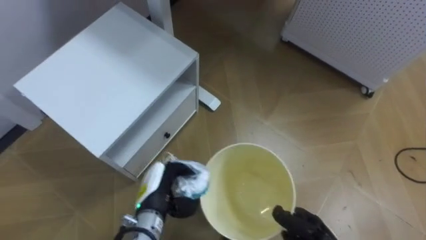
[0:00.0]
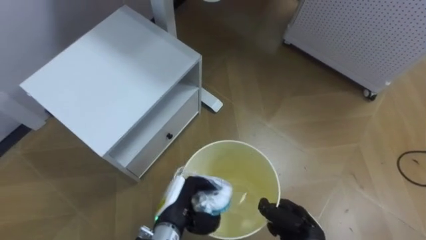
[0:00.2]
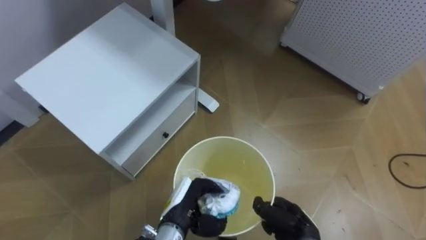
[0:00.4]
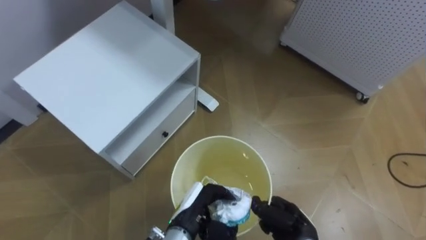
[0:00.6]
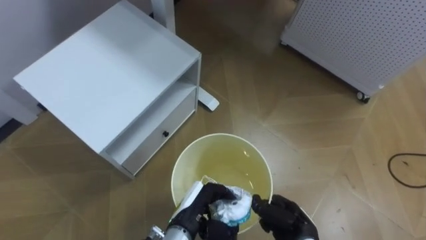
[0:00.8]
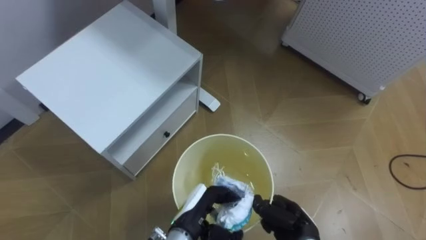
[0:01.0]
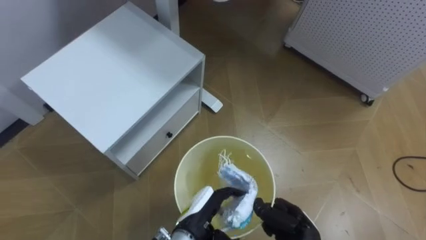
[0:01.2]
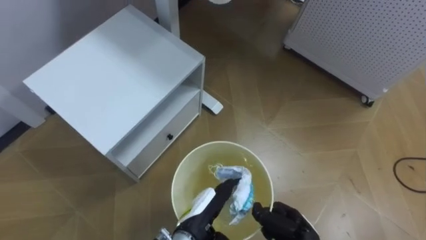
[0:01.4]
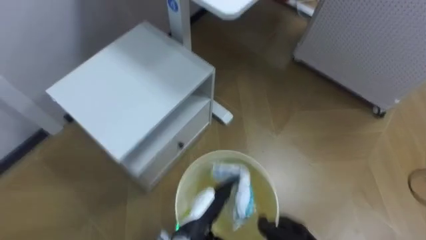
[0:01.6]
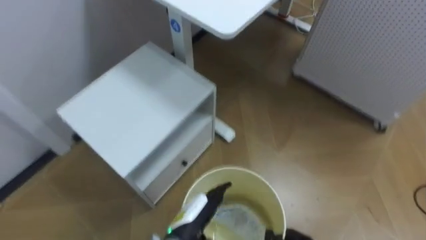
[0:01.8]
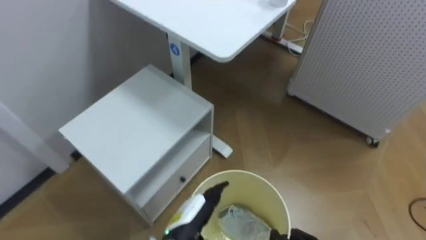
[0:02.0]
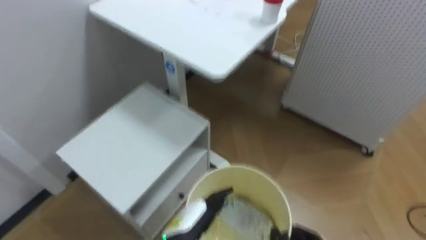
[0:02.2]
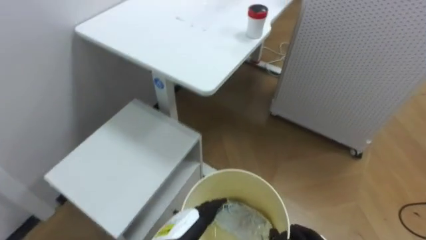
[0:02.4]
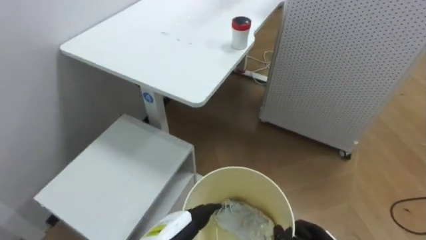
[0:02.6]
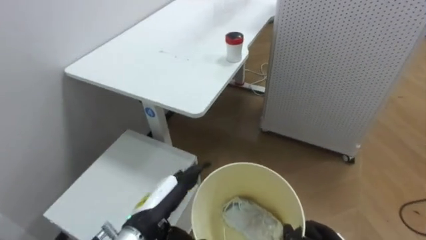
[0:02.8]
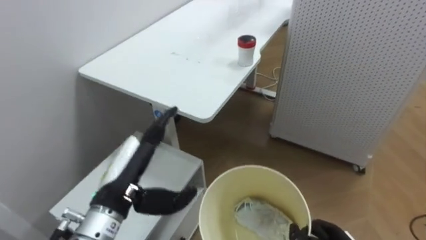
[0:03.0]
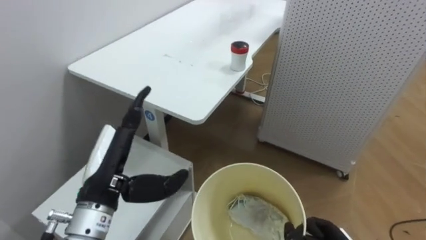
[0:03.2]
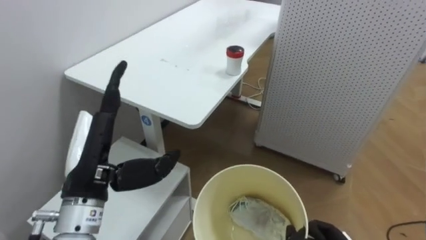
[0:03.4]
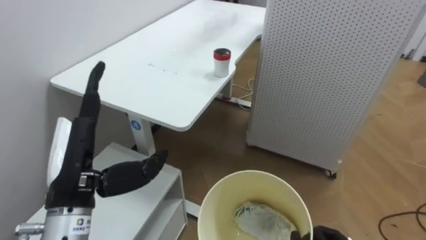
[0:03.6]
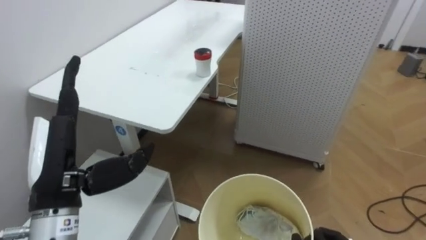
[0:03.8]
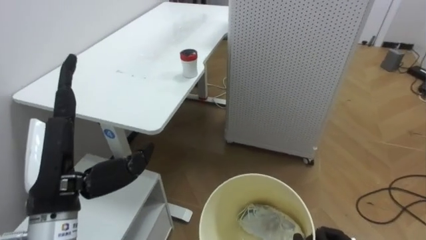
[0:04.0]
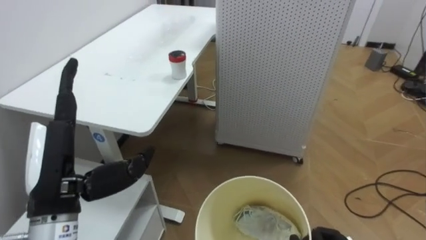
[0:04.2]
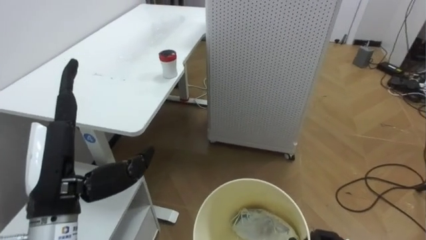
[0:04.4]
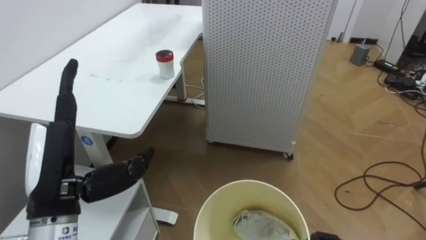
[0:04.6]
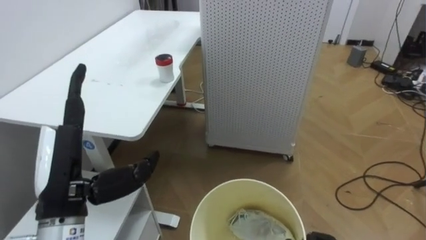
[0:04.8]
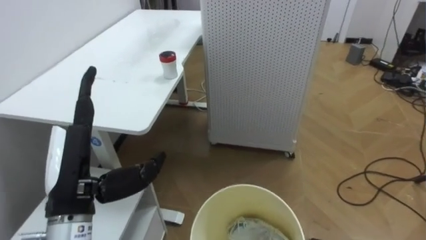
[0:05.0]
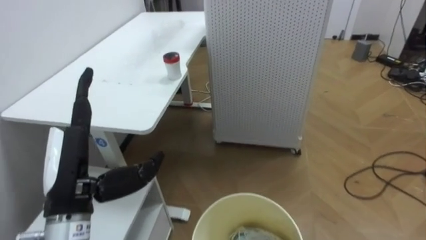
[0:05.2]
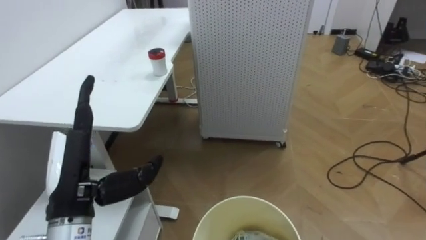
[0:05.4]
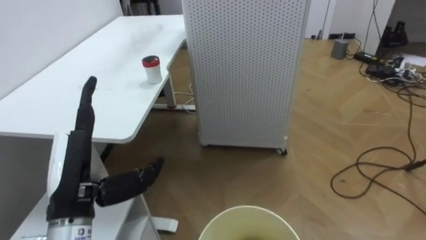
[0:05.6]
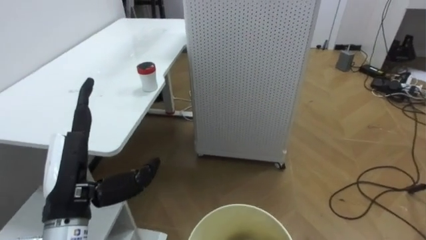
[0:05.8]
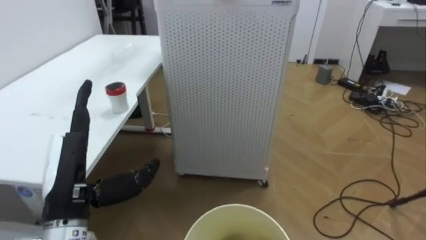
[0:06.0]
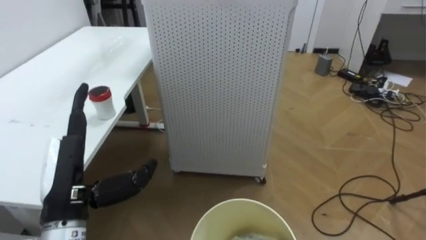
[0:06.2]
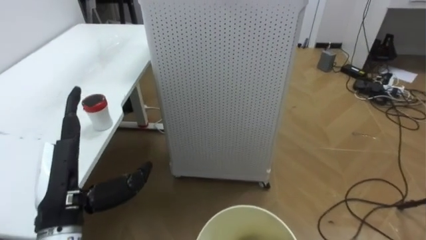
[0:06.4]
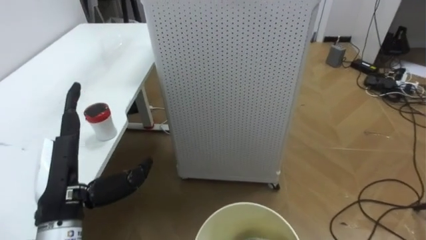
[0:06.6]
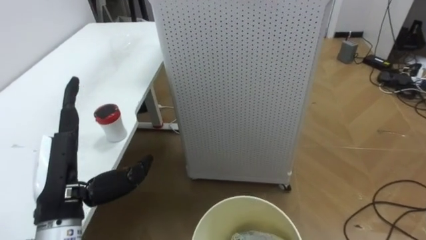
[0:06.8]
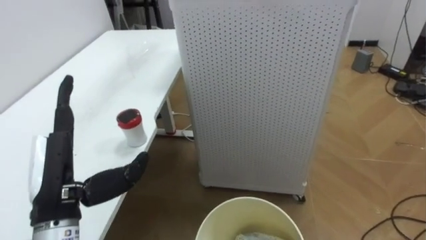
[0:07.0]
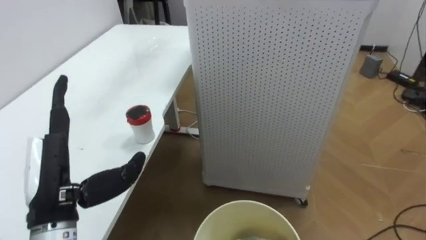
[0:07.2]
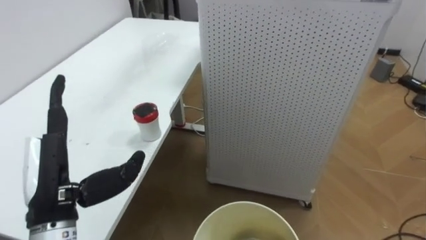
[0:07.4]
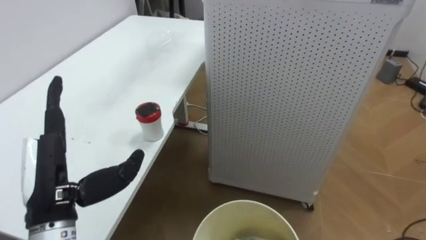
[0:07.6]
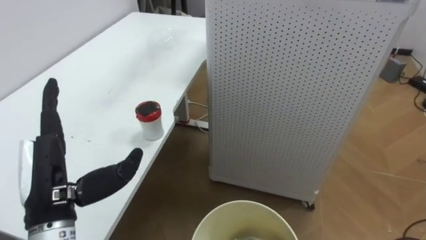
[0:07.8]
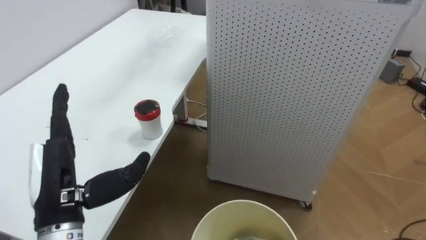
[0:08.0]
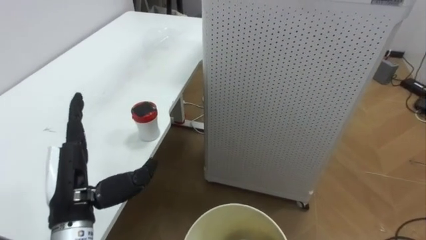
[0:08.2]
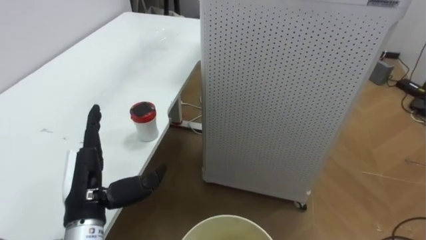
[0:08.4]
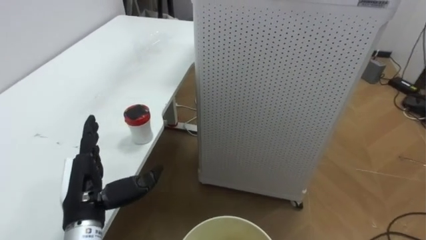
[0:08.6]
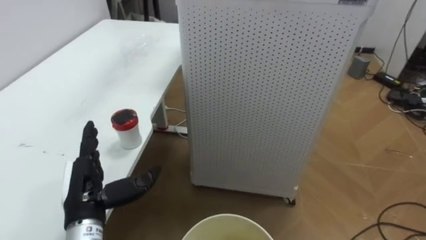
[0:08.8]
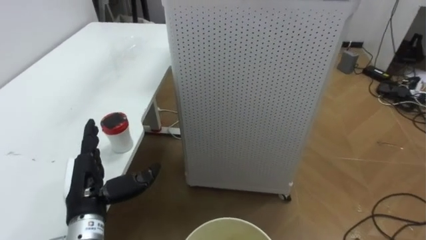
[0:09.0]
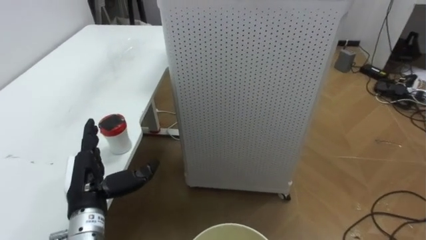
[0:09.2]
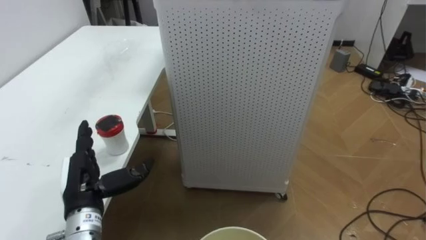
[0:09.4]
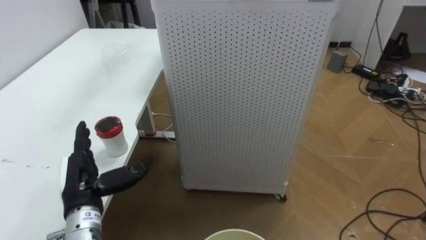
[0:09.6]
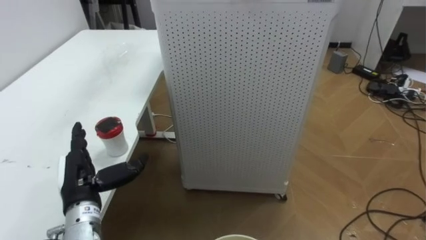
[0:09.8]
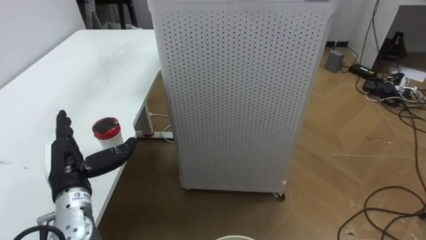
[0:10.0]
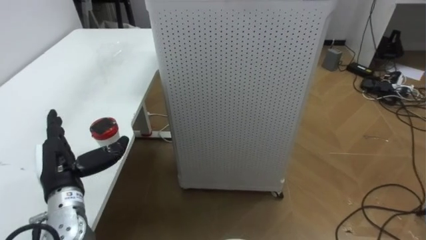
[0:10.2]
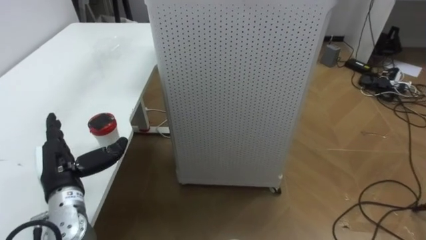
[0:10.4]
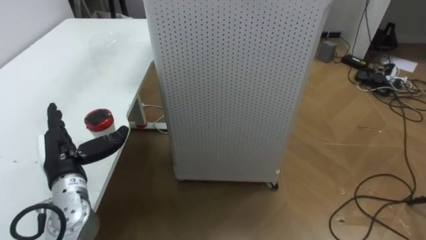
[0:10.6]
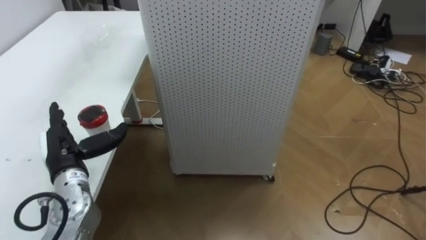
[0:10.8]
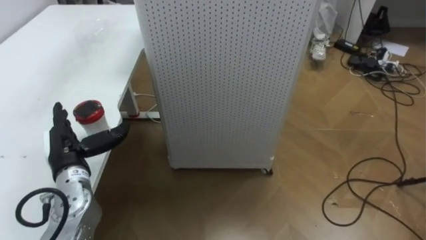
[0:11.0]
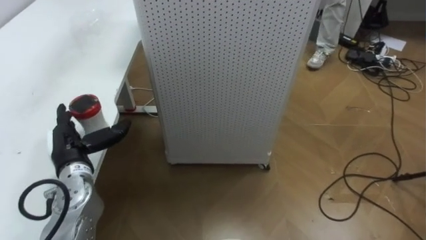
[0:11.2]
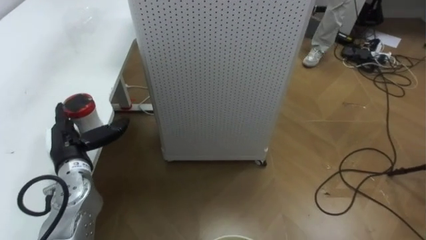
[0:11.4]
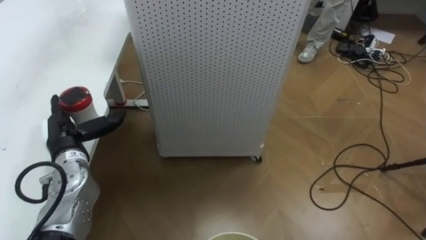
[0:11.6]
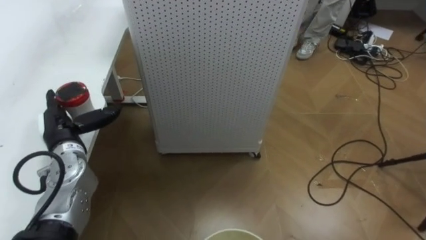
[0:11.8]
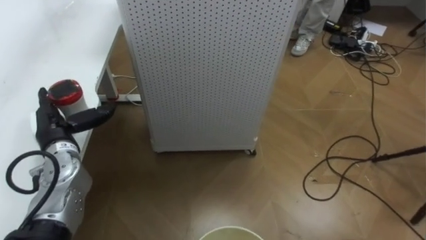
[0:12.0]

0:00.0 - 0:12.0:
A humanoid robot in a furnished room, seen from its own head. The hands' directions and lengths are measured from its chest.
Task of the whole recording: Pick up the light blue package, the candy box, and the dark blue package separately, and put them into the trash can held in your right hand.
0:00.0 - 0:01.6: The left hand goes roughly 10 cm to the right, and opens.
0:01.6 - 0:03.0: The left hand shifts about 20 cm upward and to the left.
0:03.0 - 0:04.4: The robot's body swings about 15 degrees to its right. The left hand shifts about 10 cm to the left and upward.
0:07.6 - 0:09.0: The left hand goes about 10 cm downward.
0:09.0 - 0:10.4: The left hand moves to the left, about 5 cm.
0:10.4 - 0:12.0: The left hand moves forward, approximately 5 cm.

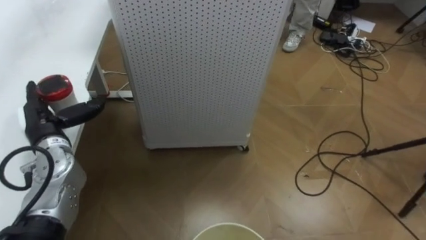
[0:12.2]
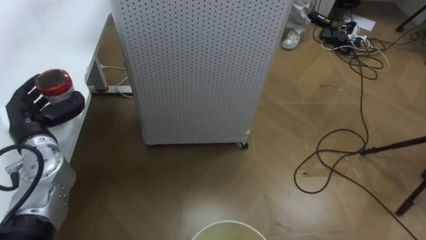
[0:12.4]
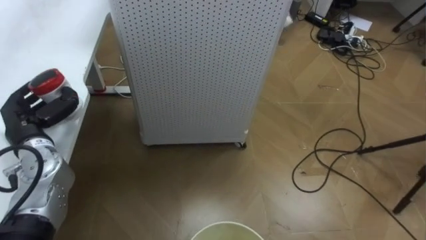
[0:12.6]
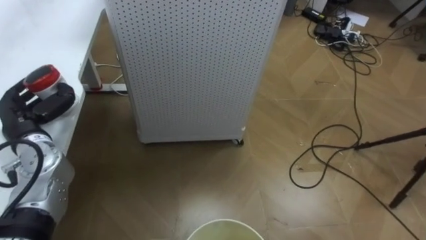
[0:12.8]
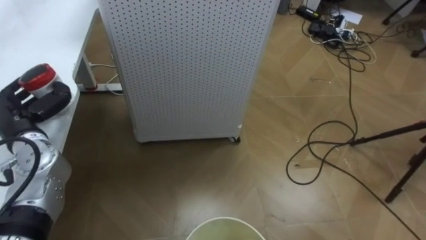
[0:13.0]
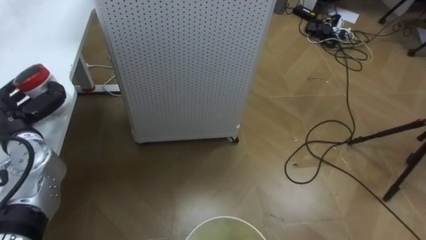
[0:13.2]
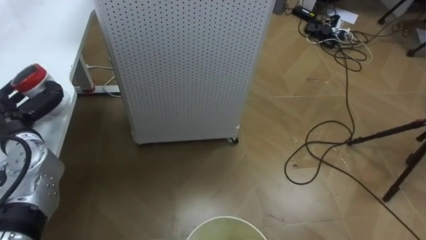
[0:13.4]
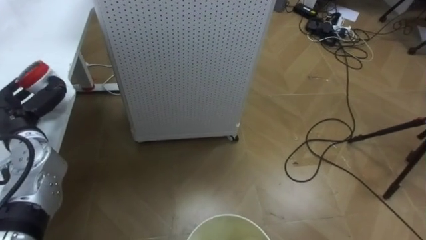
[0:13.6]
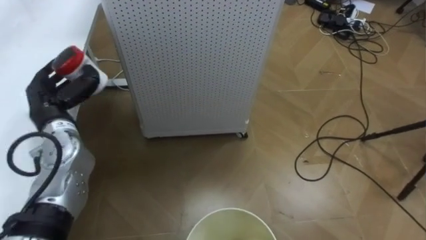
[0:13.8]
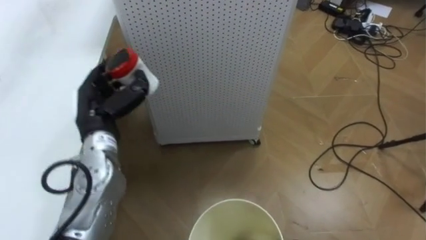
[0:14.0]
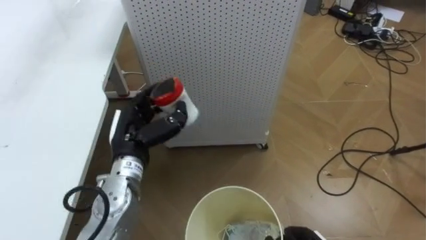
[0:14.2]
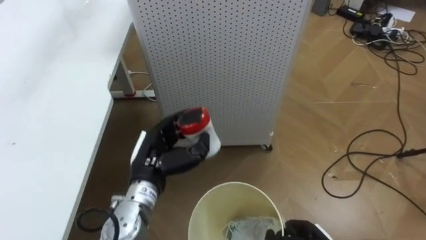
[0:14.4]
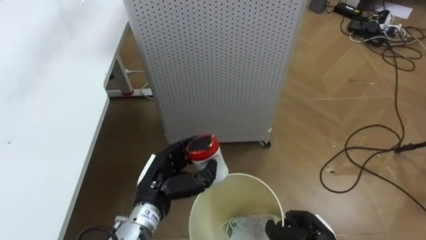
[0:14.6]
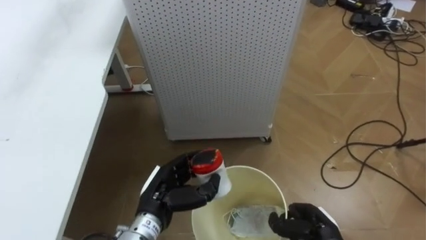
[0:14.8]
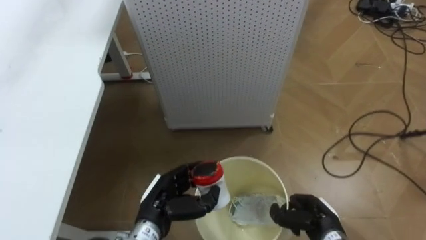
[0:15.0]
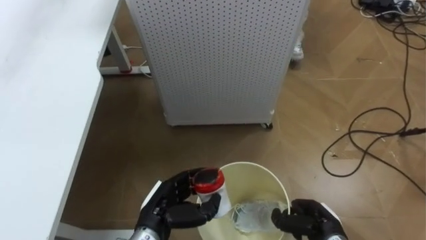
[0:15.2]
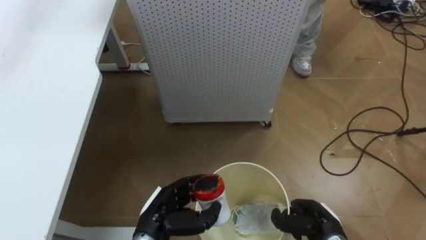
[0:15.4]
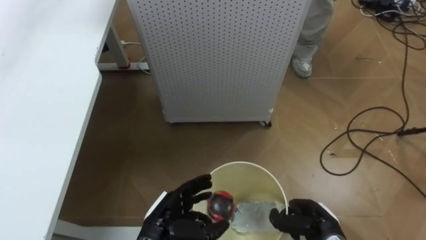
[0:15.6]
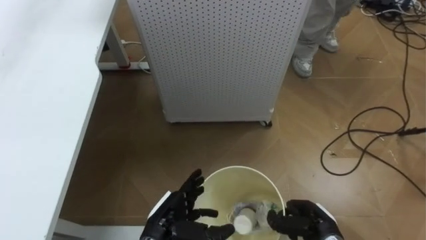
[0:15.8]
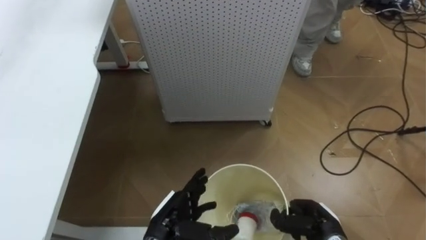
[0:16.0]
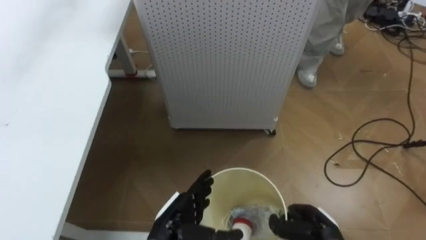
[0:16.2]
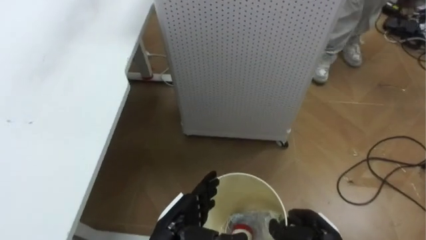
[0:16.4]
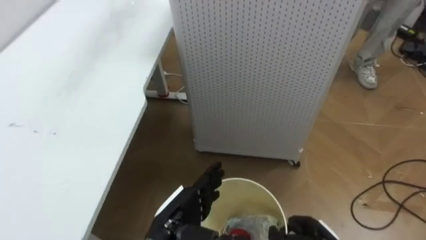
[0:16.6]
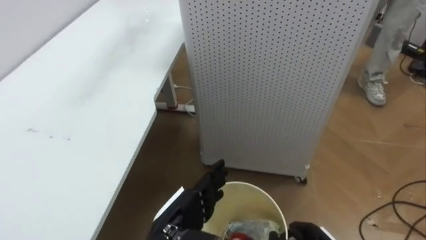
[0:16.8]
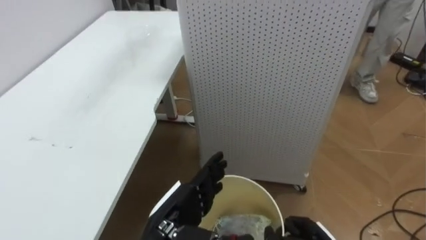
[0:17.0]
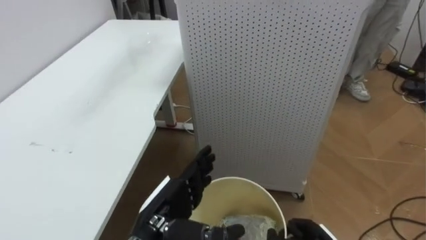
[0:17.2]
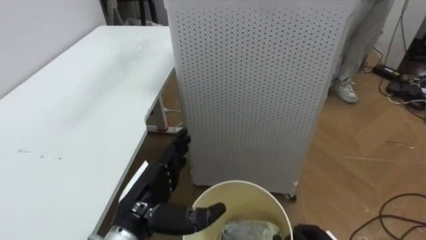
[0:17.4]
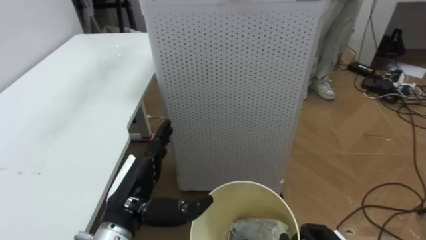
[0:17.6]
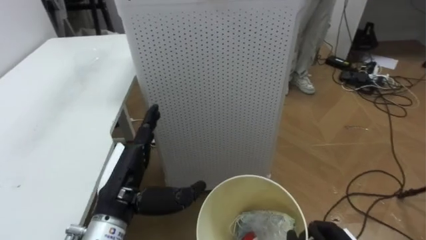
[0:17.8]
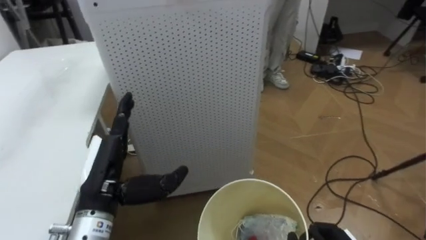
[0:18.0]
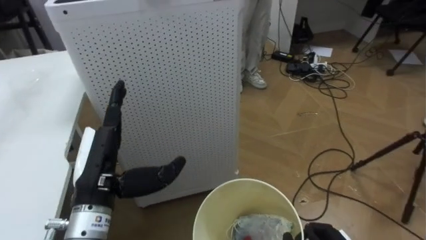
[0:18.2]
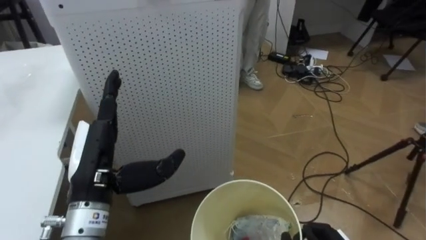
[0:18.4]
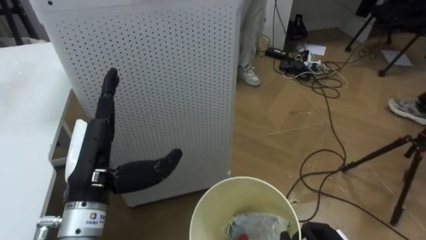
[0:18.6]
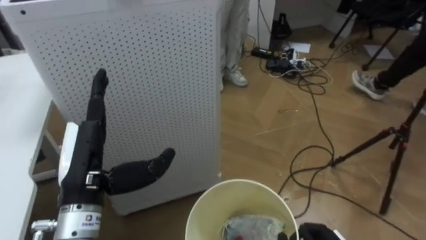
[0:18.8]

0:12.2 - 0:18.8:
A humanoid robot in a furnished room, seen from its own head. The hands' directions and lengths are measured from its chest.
Task of the whole recording: Pick up the light blue package, the candy box, and the dark blue package separately, and put them into the trash can held in your right hand.
0:12.2 - 0:13.8: The left hand closes.
0:13.8 - 0:15.4: The left hand heads to the right, downward and backward, covering roughly 25 cm.
0:15.4 - 0:17.2: The left hand goes roughly 5 cm upward, and opens.
0:17.2 - 0:18.8: The robot's body swings some 35 degrees to its right. The left hand heads to the left and upward, covering some 15 cm.
